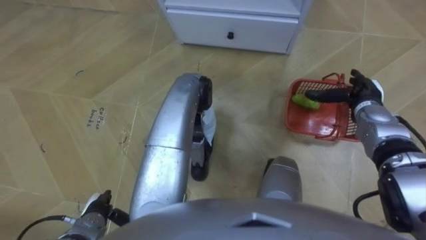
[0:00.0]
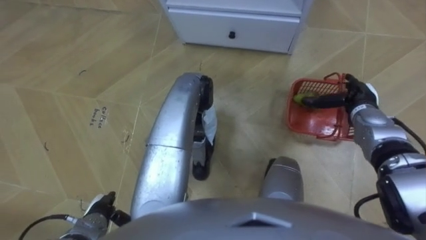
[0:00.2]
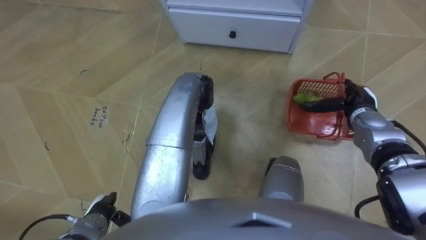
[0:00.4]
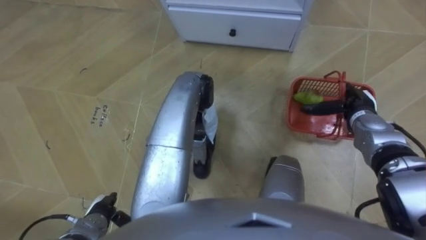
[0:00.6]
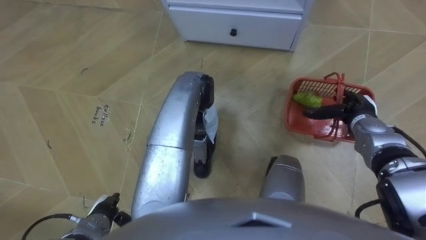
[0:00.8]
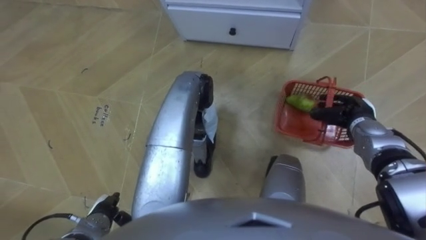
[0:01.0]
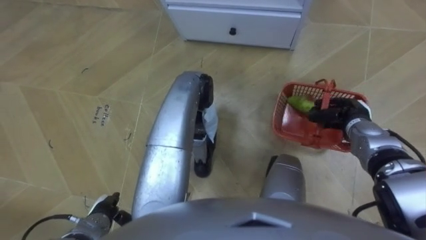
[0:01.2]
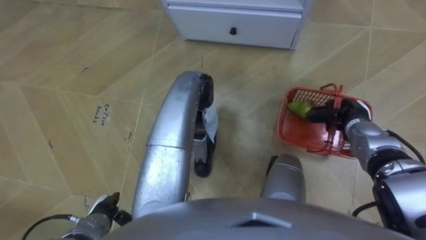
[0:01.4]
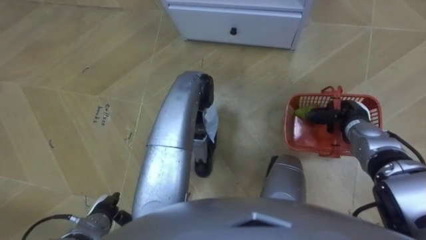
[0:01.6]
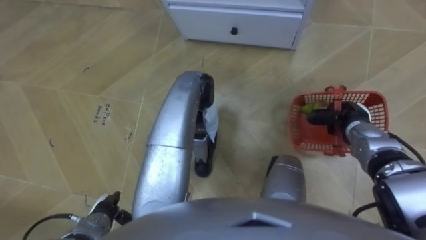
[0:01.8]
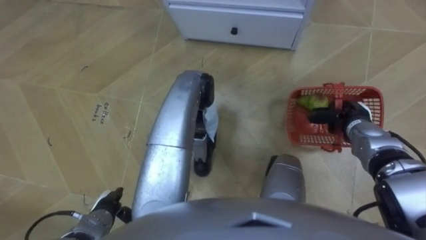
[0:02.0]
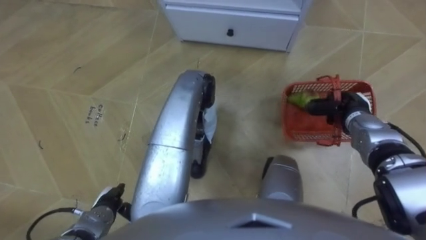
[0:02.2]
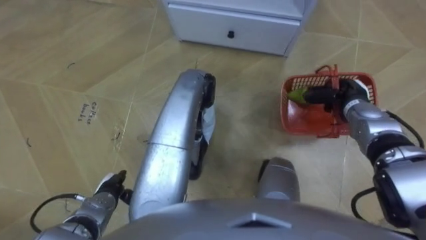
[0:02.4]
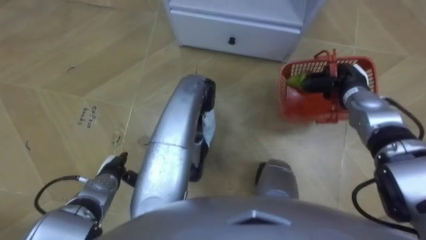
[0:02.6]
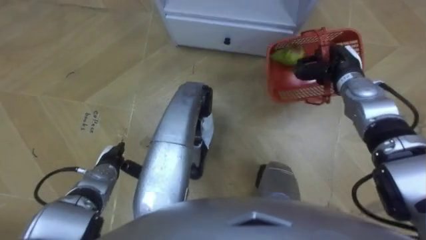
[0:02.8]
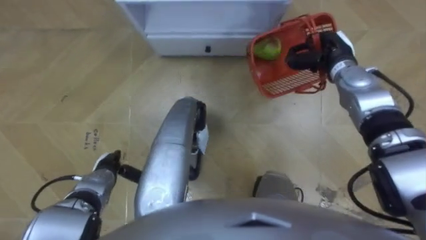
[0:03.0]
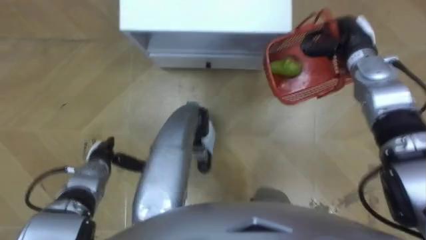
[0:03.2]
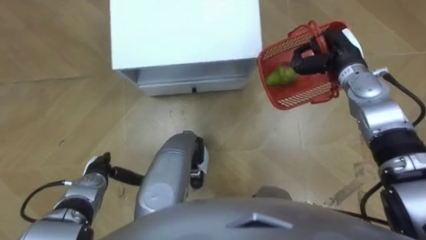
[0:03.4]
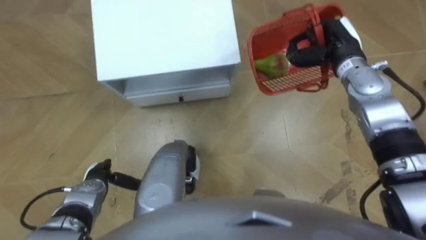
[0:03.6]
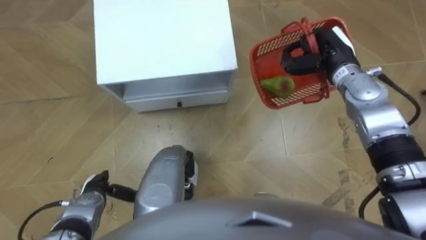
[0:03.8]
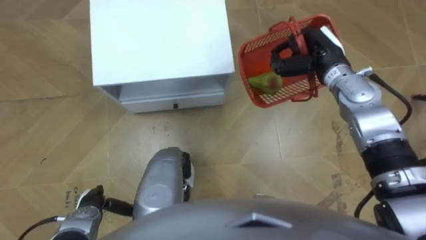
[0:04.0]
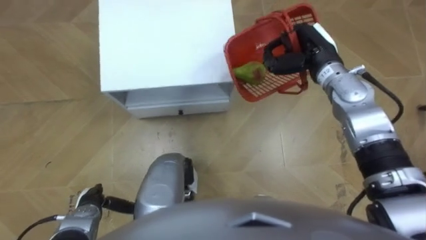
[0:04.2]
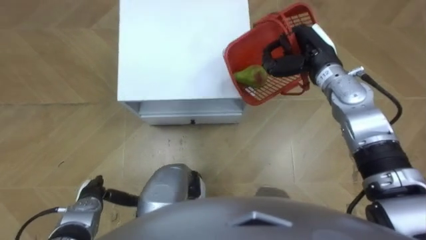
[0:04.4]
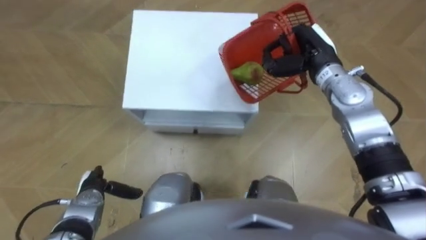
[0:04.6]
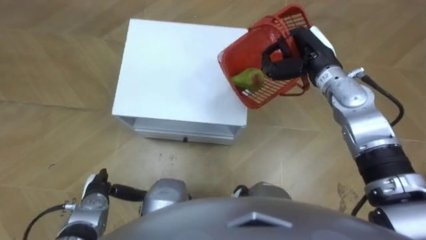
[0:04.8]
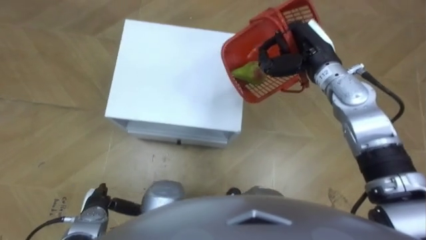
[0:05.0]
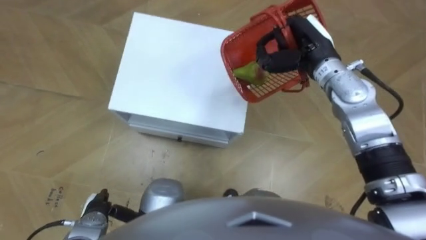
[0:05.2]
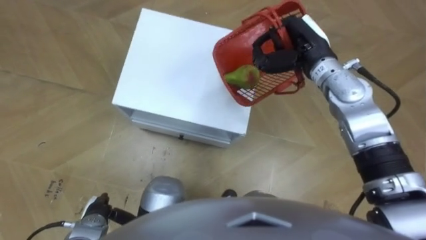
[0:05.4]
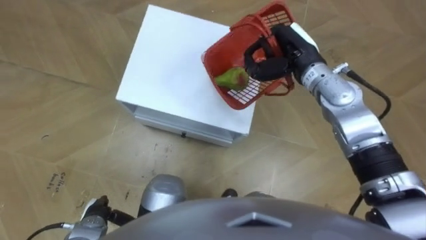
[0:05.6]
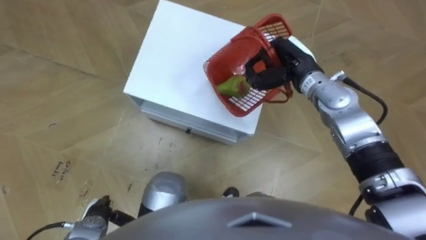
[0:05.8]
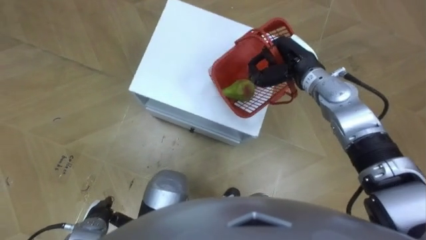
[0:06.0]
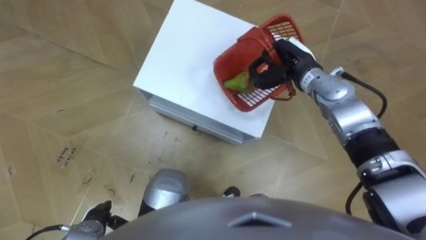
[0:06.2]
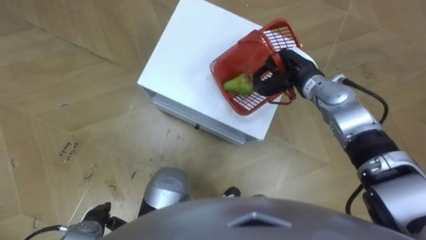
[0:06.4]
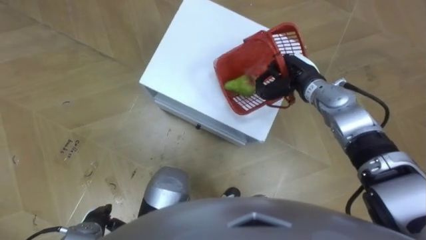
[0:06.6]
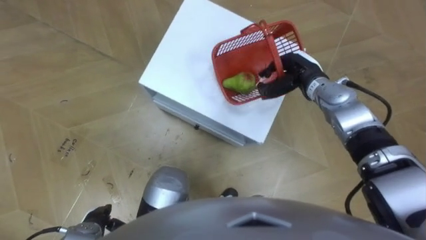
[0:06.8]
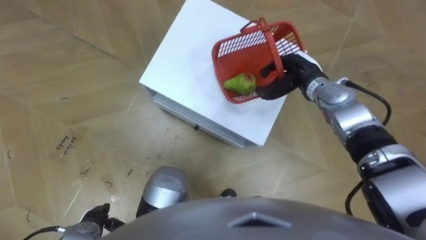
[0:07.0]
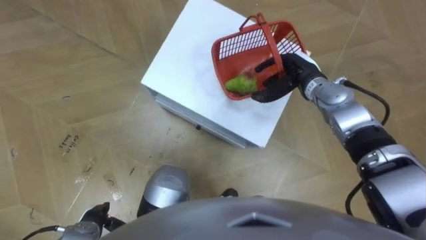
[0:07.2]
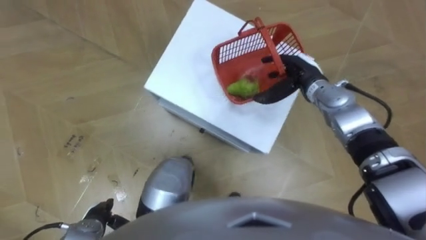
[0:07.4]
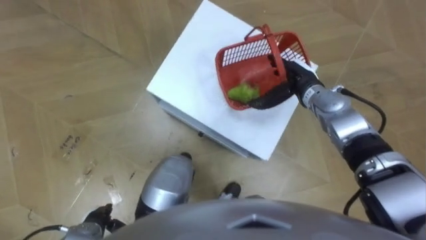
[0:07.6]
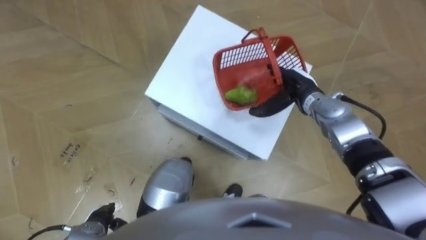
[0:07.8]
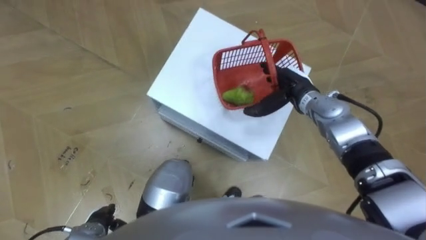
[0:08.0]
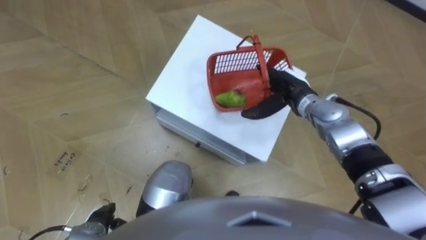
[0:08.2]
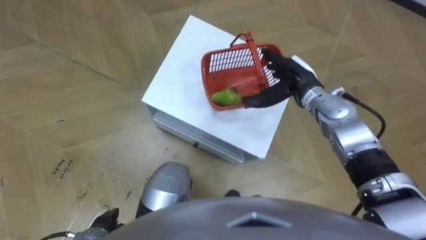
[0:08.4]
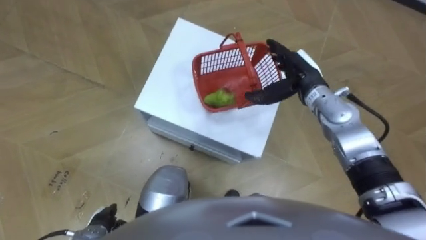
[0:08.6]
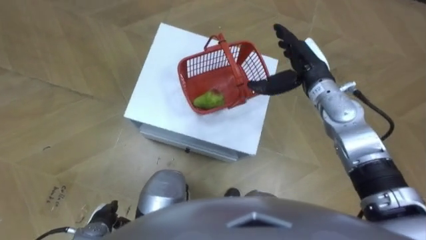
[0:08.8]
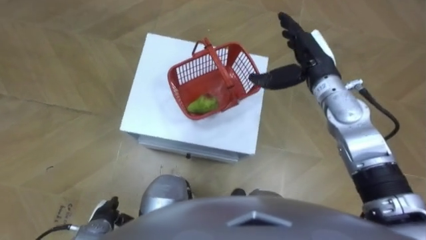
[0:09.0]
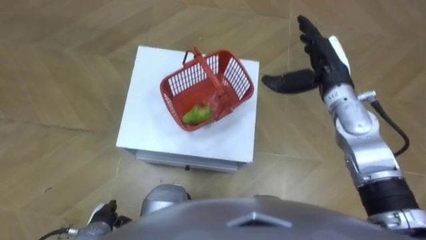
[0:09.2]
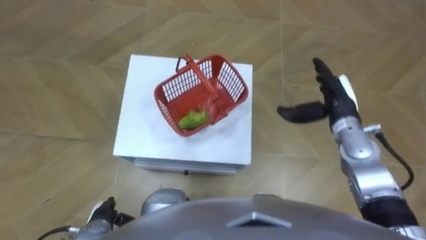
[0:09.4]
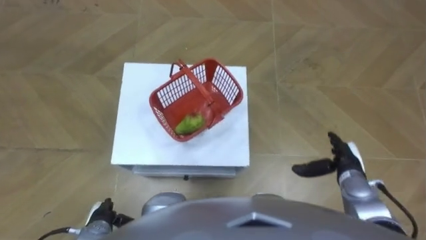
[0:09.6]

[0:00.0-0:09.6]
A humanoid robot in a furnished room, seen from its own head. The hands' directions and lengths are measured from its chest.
Task of the whole recording: Pick up the fruit basket from the floor and place it on the cabinet.
0:00.0 to 0:01.6: The right hand ends up approximately 5 cm from where it was, and closes.
0:01.6 to 0:03.2: The right hand is displaced forward and upward by about 15 cm, while the left hand heads forward, covering roughly 10 cm.
0:03.2 to 0:04.8: The left hand heads backward, covering approximately 5 cm. The right hand moves to the left, about 10 cm.
0:04.8 to 0:06.4: The left hand heads backward, covering approximately 5 cm; the right hand moves approximately 5 cm.
0:06.4 to 0:08.0: The right hand opens.
0:08.0 to 0:09.6: The right hand heads backward, to the right and downward, covering some 20 cm.

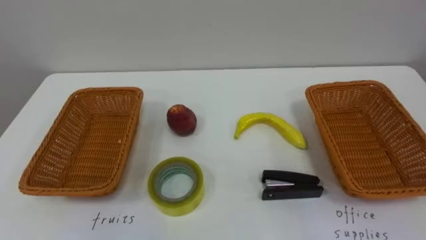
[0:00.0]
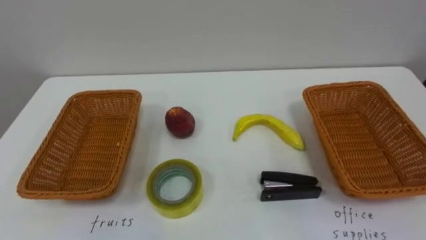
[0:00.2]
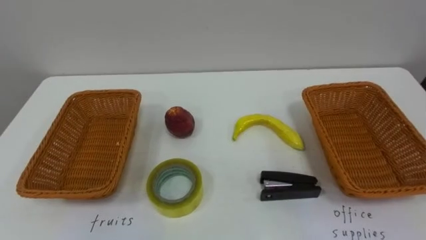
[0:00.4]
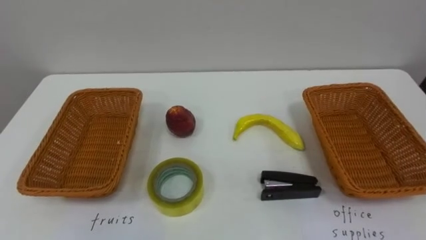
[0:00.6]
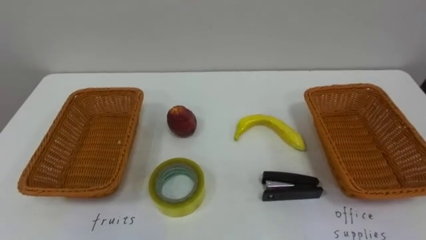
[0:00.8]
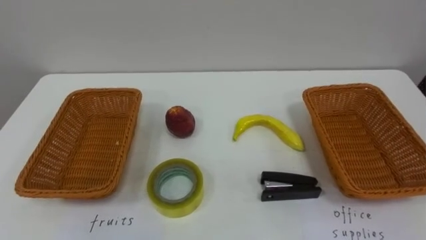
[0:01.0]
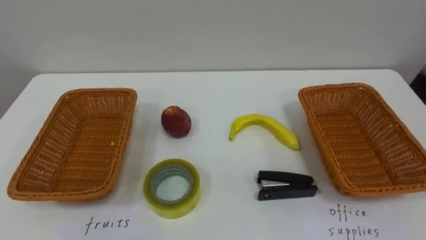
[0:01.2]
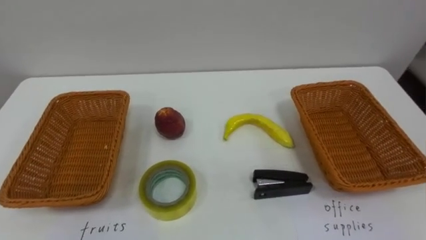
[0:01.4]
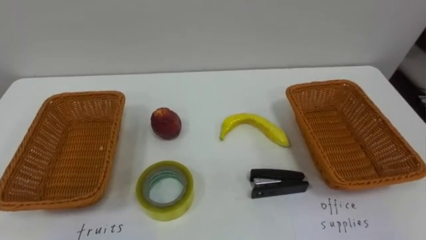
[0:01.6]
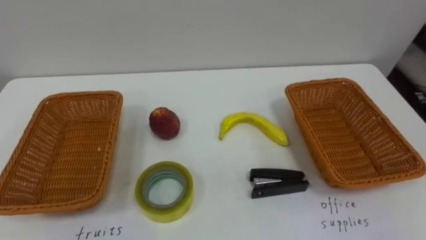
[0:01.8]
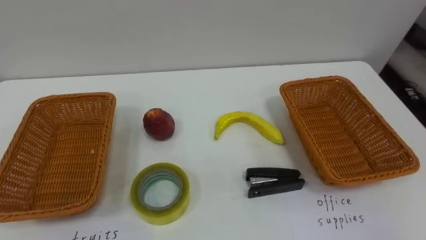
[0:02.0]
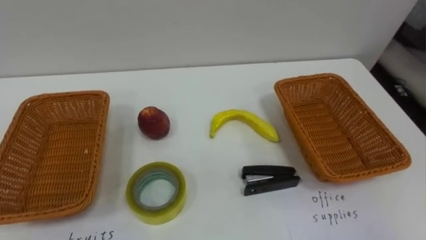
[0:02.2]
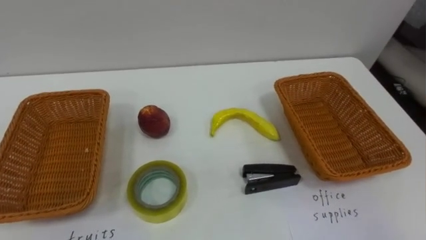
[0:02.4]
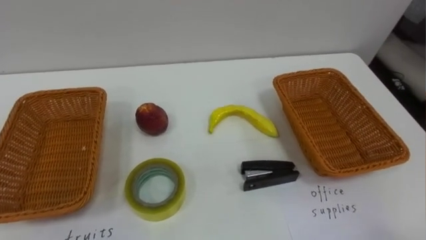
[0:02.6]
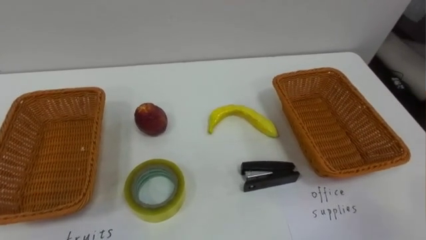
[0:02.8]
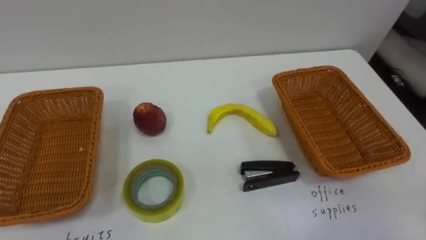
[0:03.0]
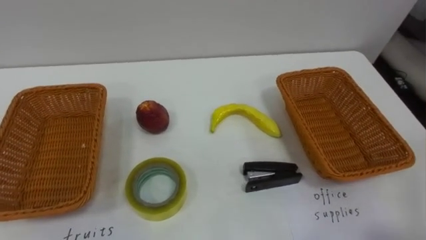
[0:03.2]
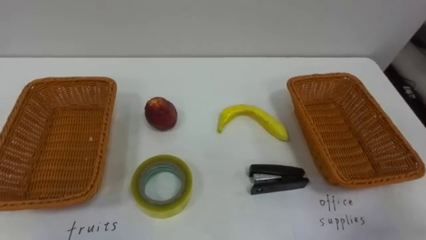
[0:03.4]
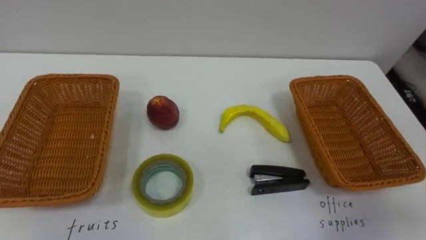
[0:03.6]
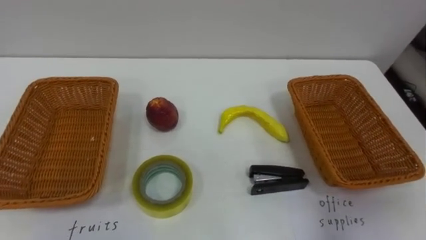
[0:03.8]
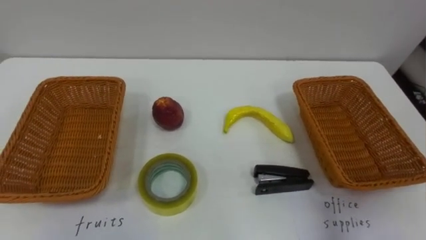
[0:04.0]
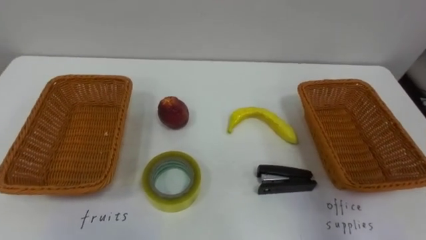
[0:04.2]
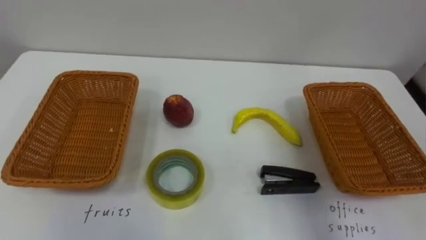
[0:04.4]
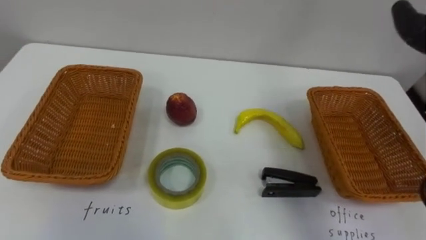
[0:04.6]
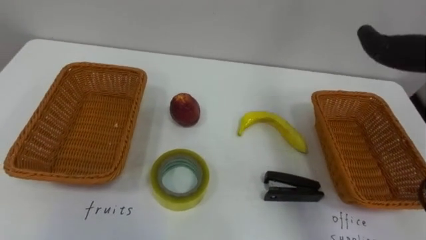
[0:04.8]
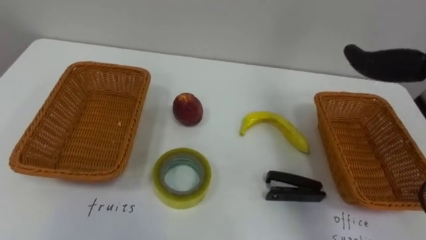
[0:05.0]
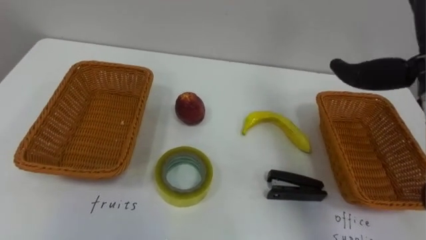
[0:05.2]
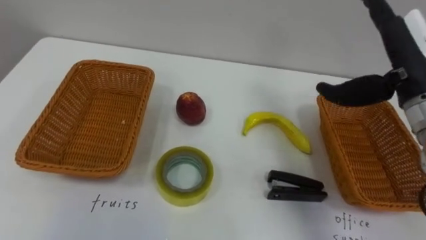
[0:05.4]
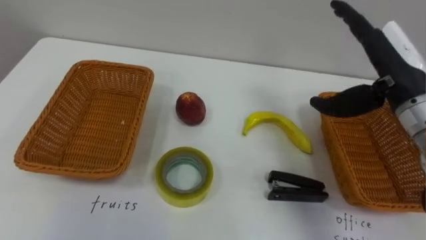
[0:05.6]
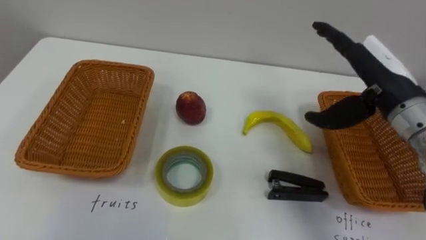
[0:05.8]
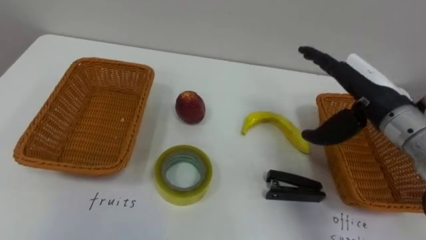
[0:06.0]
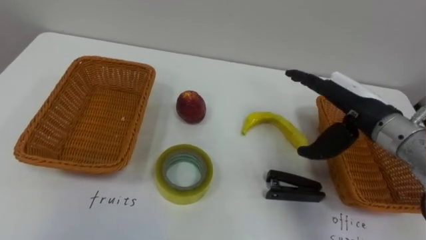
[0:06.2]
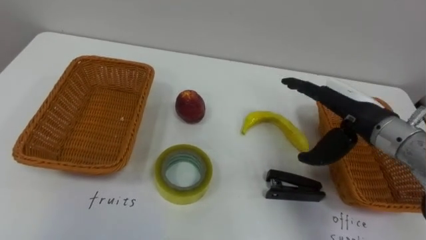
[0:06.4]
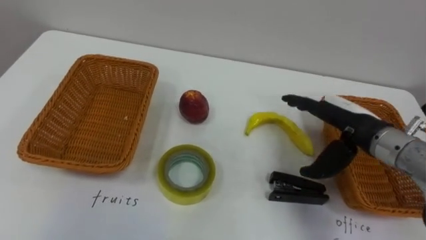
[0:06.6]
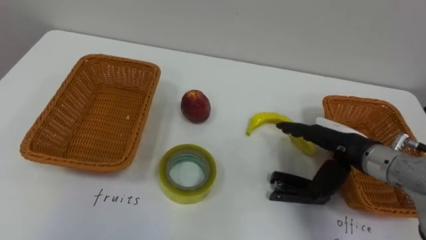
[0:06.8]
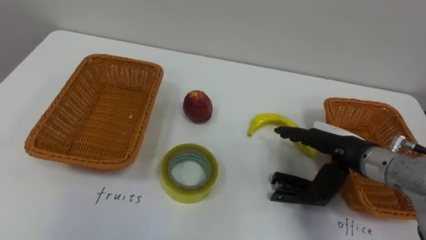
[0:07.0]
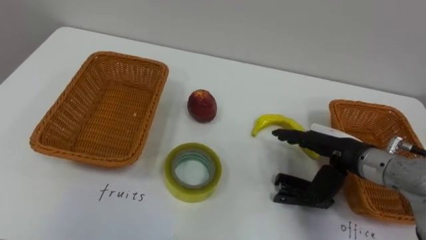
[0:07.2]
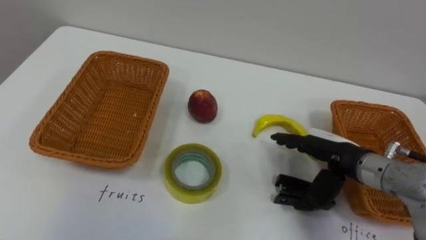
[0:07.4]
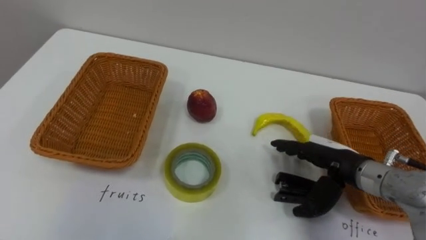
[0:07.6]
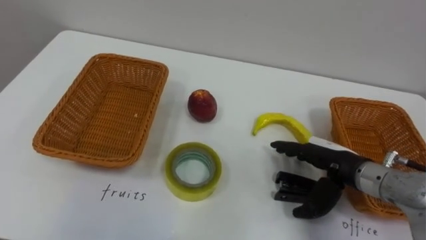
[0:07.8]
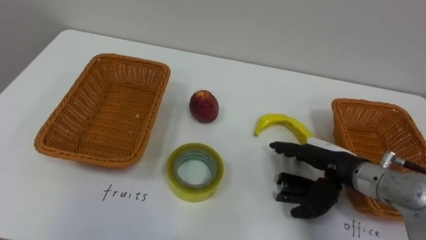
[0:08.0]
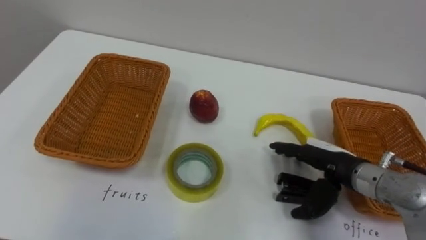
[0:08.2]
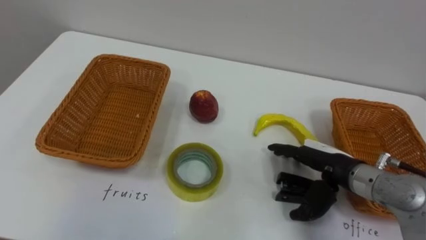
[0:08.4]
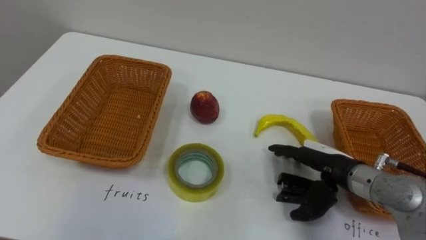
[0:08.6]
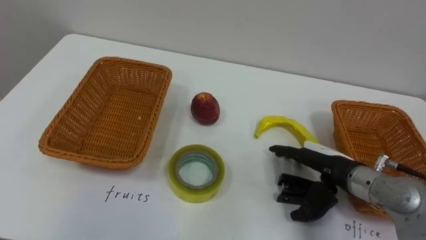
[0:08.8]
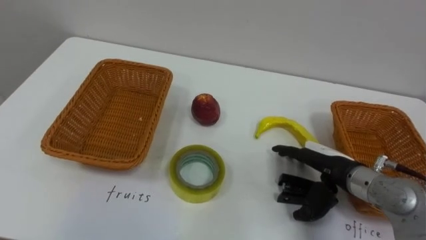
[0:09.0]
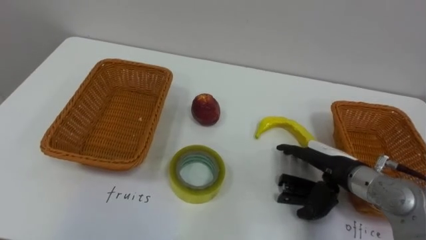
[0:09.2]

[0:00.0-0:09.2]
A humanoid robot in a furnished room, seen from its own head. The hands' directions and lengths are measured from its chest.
Task of the whole recording: Separate the items on the table and place them into the two baskets.
0:06.2 to 0:07.6: The right hand heads downward, covering some 10 cm.
